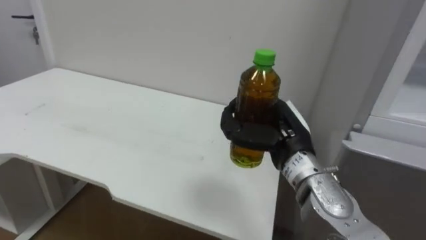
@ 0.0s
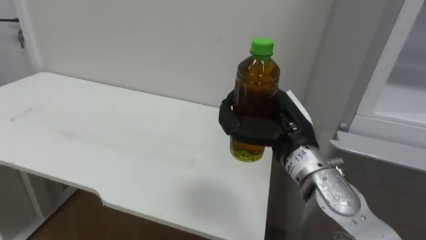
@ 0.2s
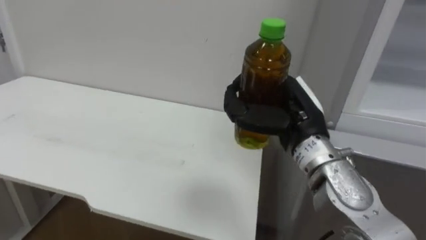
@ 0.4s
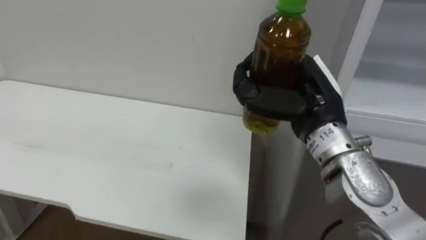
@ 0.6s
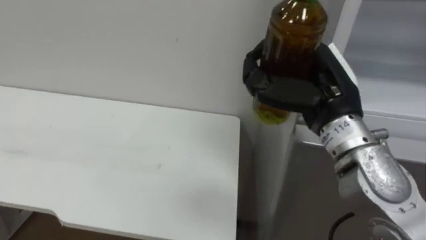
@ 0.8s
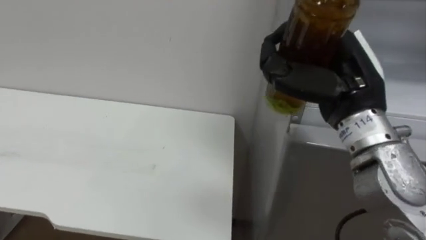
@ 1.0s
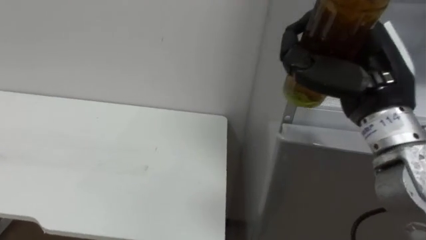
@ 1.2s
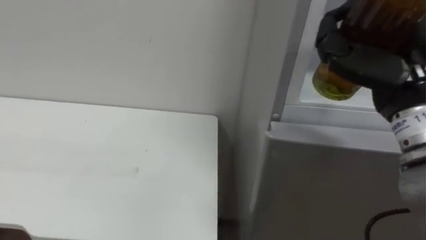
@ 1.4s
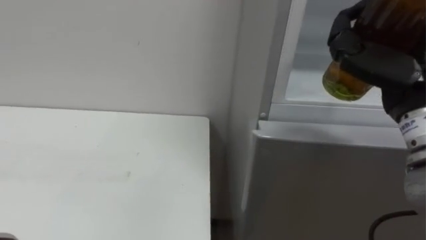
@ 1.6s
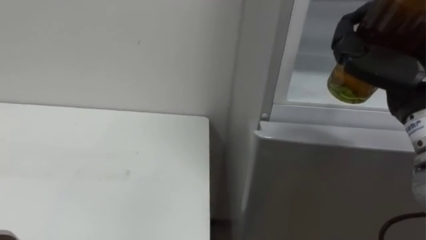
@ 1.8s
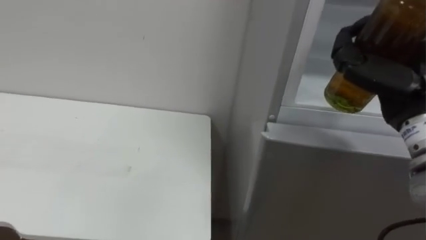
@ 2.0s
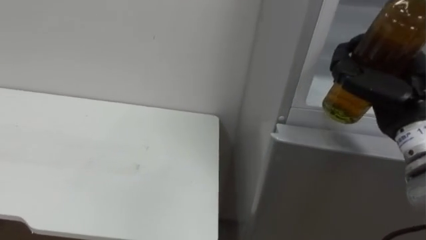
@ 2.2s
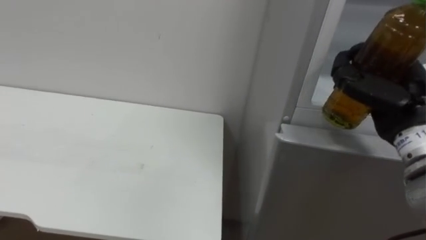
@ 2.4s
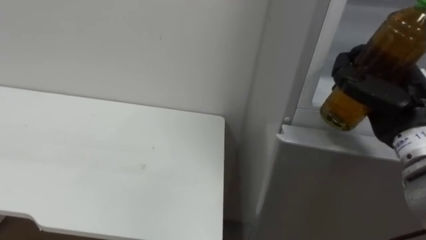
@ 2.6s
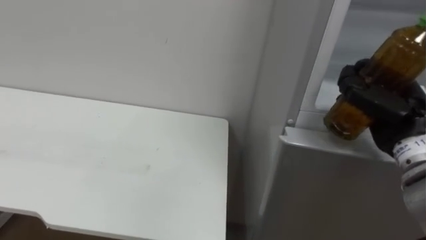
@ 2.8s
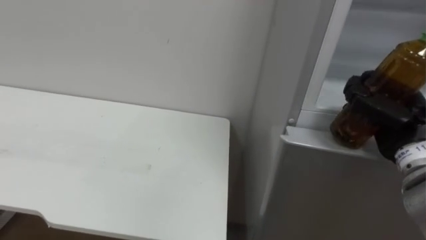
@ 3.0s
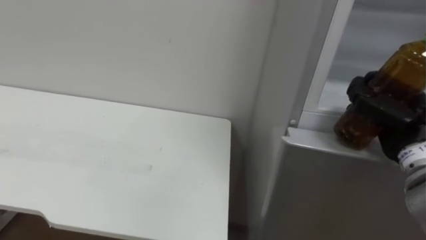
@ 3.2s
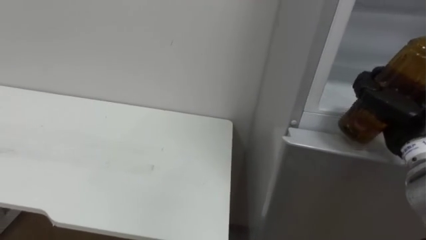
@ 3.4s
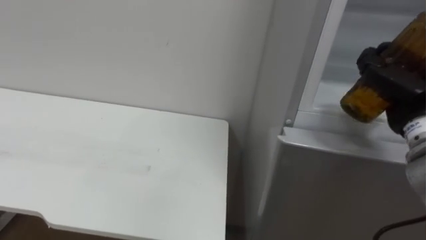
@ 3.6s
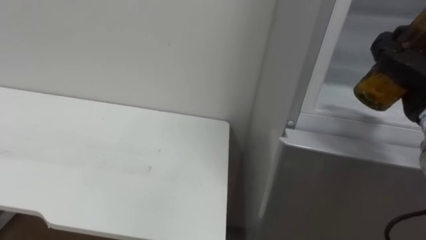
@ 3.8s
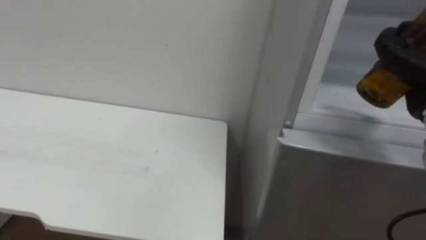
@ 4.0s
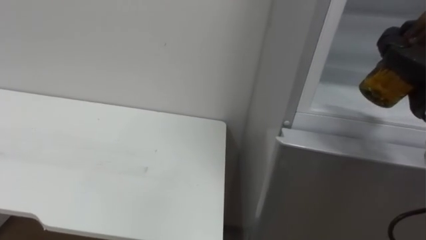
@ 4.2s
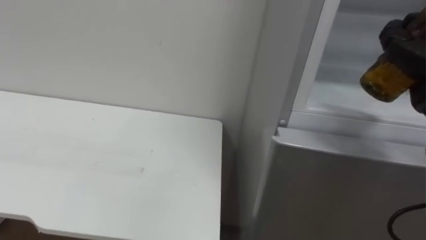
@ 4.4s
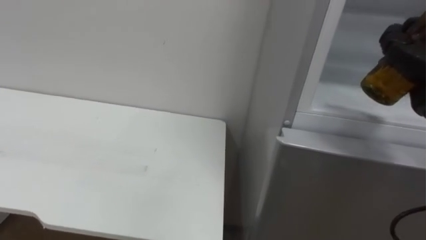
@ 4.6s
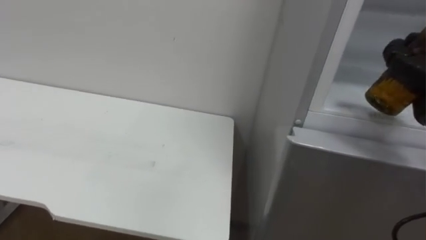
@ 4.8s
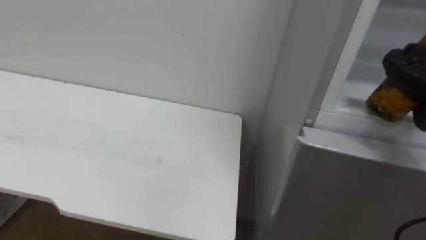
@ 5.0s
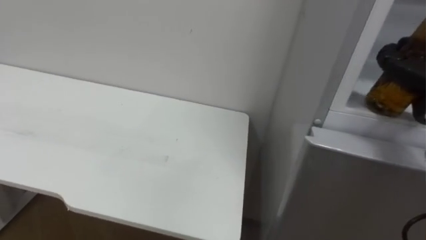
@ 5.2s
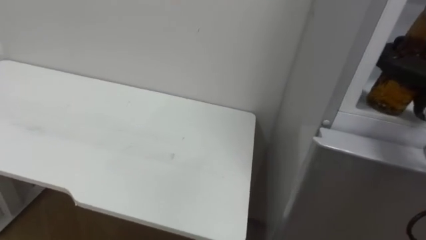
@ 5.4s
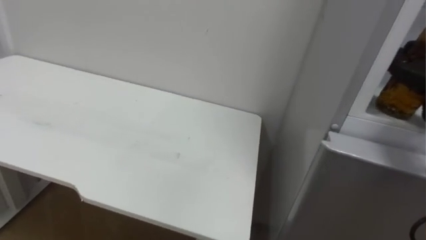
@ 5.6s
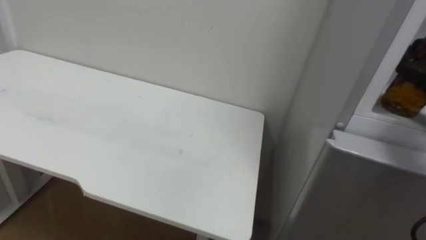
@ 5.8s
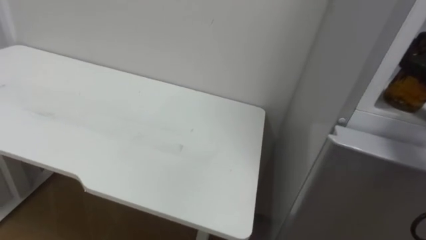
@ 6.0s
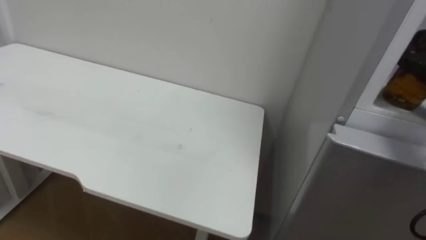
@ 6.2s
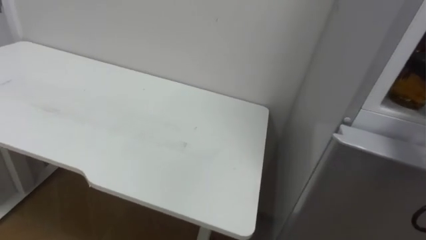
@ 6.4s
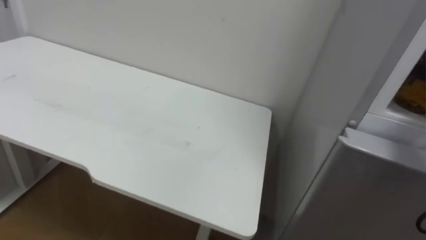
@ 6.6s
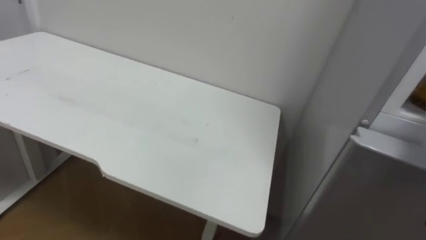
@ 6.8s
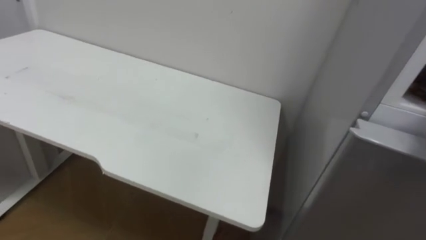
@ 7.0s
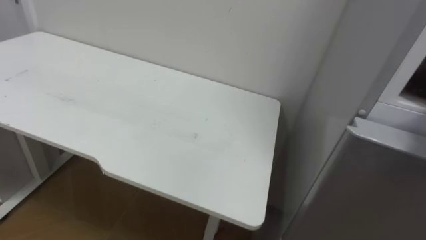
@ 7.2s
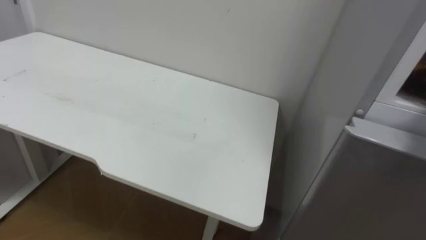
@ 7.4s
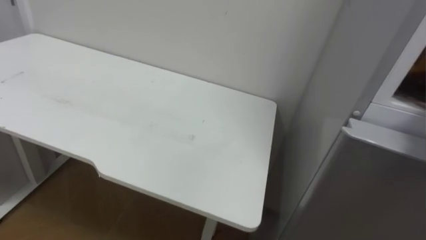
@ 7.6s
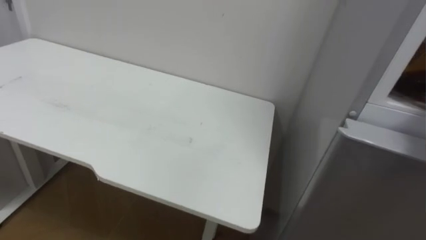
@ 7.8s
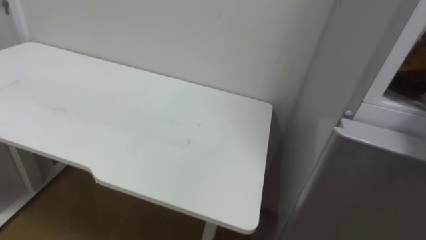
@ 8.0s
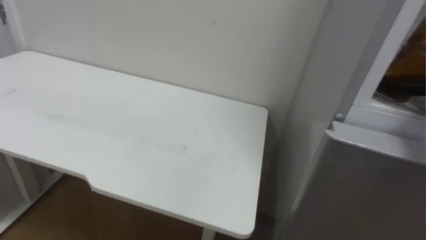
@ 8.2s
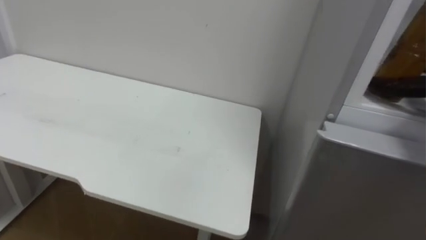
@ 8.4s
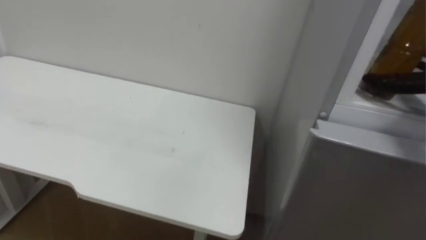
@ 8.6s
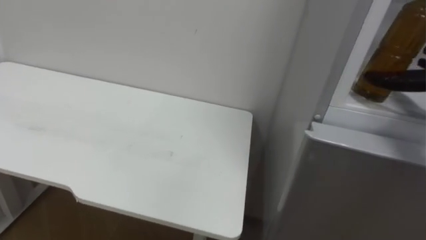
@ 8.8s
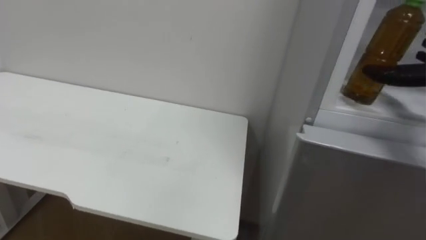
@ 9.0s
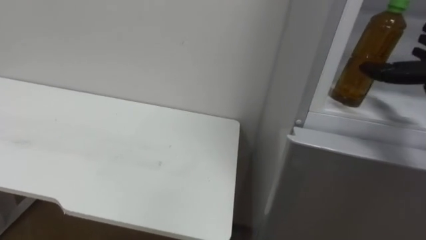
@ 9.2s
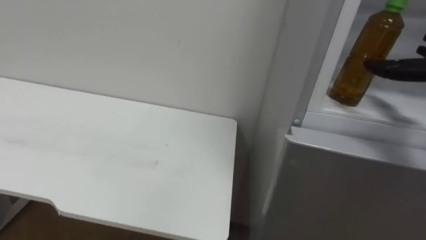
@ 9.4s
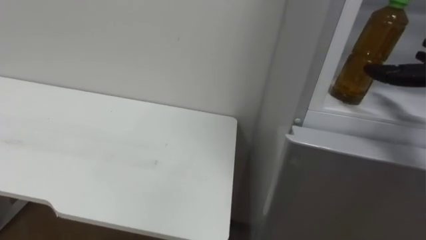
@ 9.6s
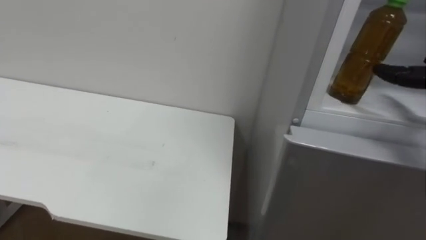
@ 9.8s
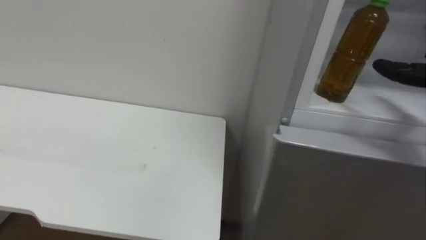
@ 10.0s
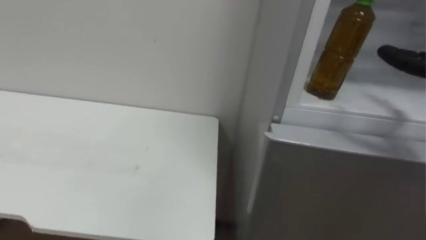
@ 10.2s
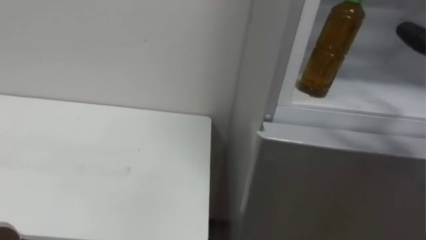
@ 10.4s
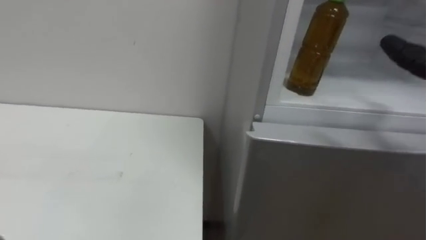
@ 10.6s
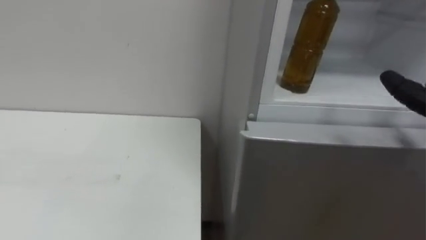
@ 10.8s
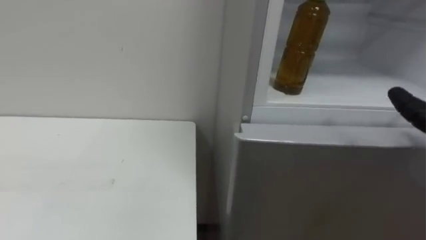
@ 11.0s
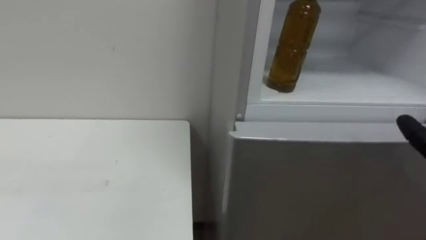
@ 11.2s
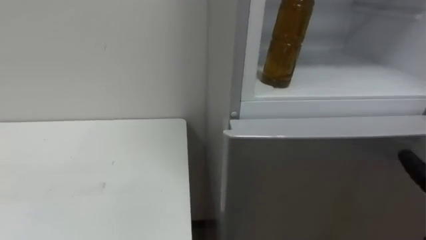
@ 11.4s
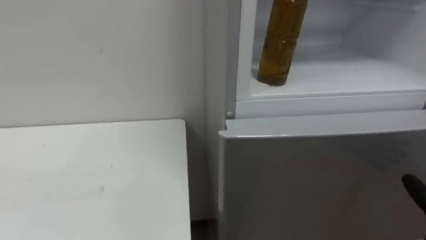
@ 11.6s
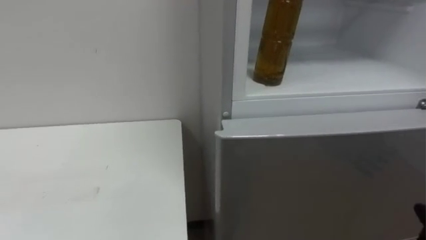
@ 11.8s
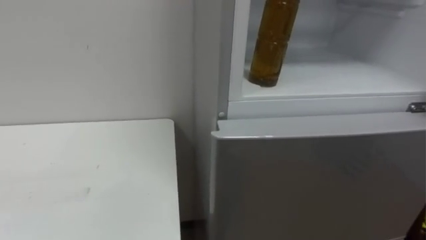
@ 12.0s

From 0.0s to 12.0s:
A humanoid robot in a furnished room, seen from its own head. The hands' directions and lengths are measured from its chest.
Task of the whole recording: Open the upper refrigerator door, put the drink from the table into the refrigerator, and then close the refrigerator door.
From 0.0s to 1.6s: The right hand moves upward, to the right and backward, approximately 20 cm.
From 1.6s to 3.0s: The right hand goes roughly 15 cm downward, to the right and forward.

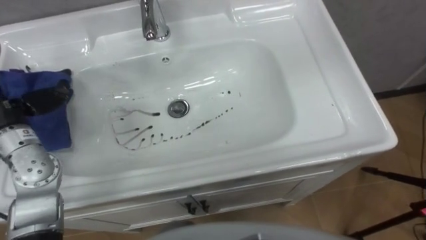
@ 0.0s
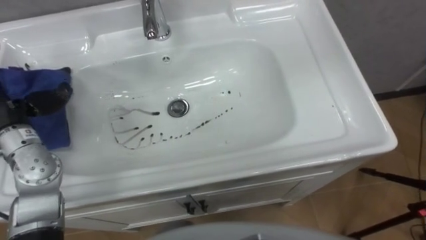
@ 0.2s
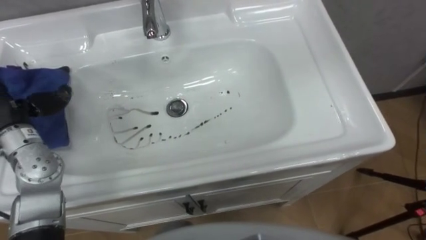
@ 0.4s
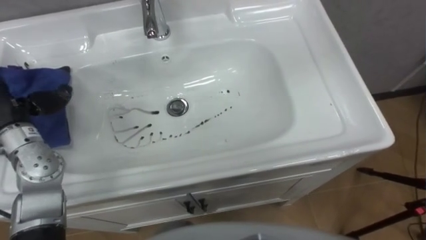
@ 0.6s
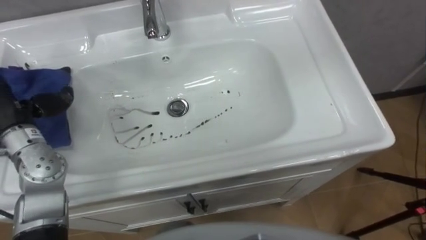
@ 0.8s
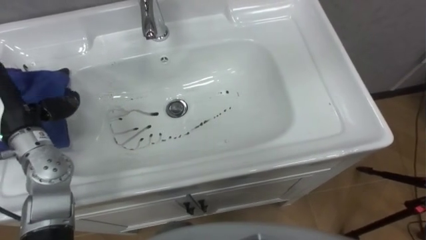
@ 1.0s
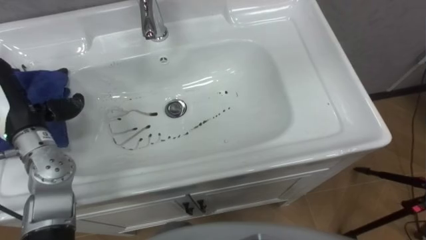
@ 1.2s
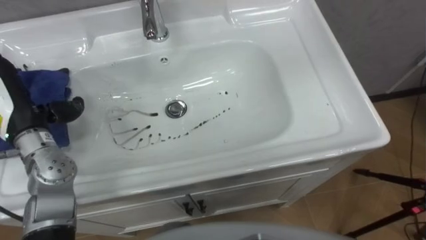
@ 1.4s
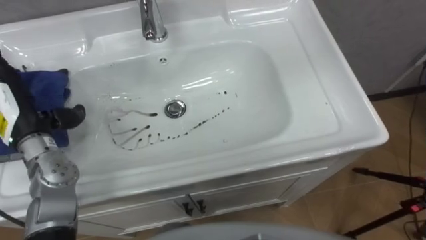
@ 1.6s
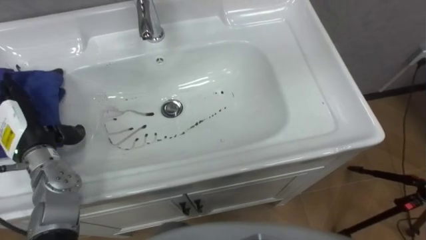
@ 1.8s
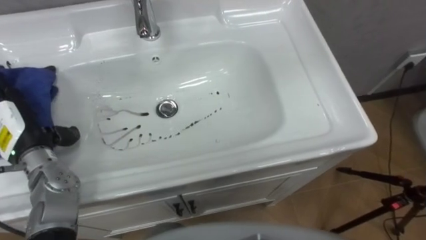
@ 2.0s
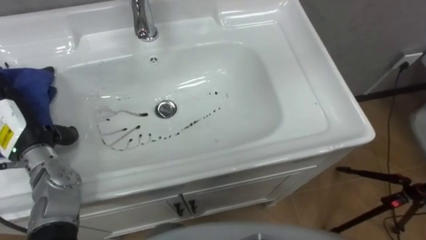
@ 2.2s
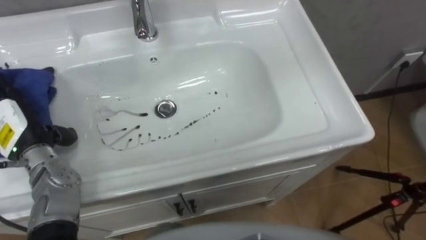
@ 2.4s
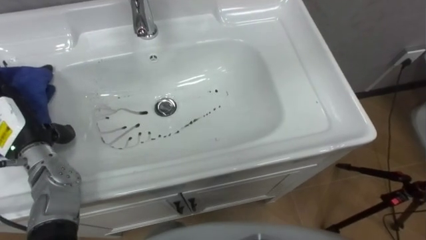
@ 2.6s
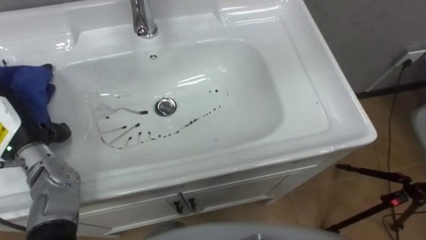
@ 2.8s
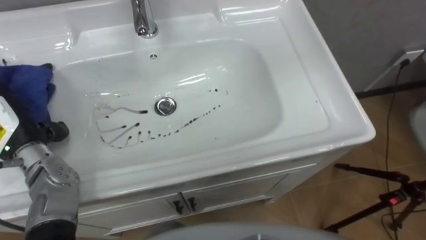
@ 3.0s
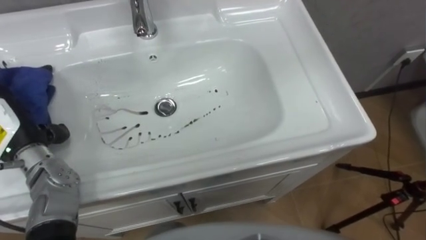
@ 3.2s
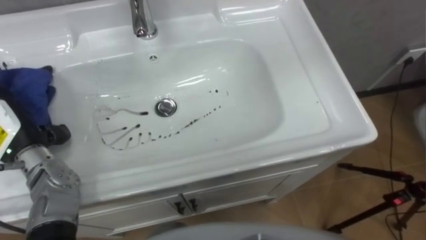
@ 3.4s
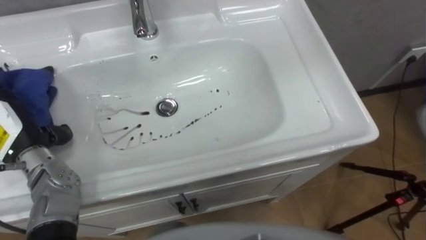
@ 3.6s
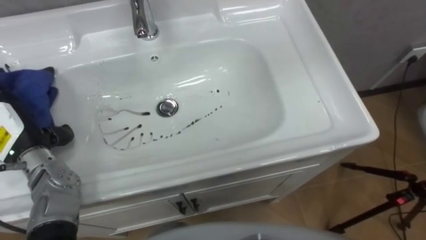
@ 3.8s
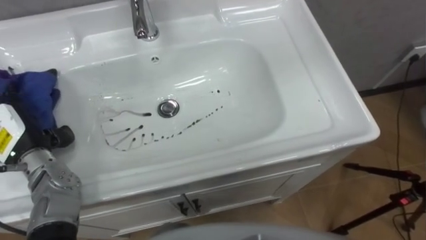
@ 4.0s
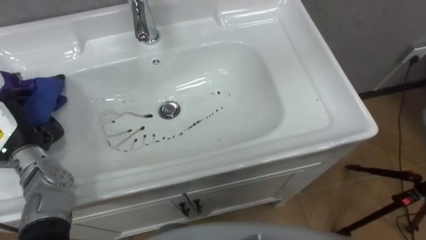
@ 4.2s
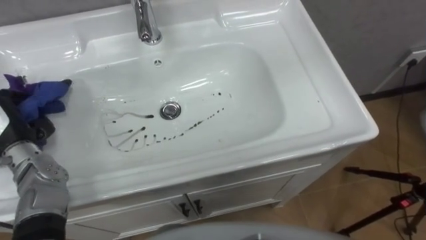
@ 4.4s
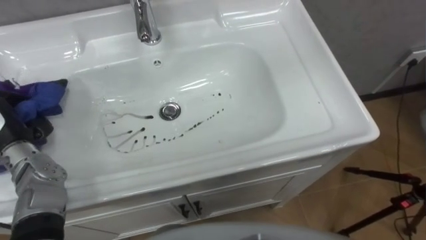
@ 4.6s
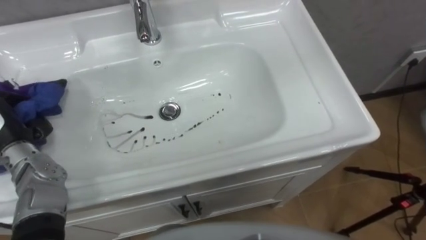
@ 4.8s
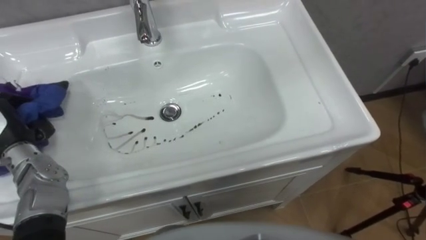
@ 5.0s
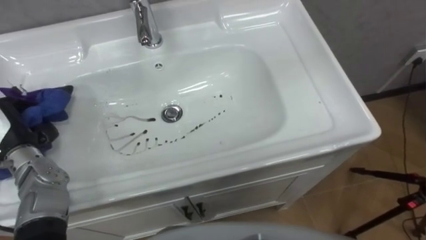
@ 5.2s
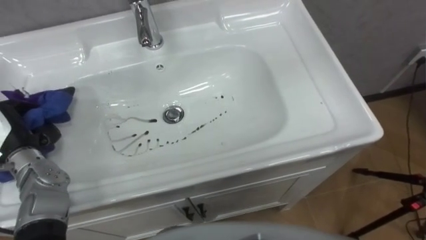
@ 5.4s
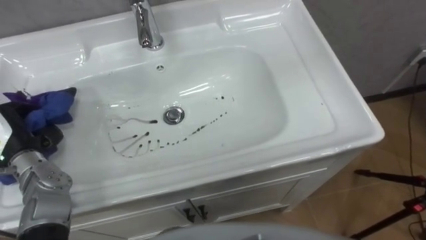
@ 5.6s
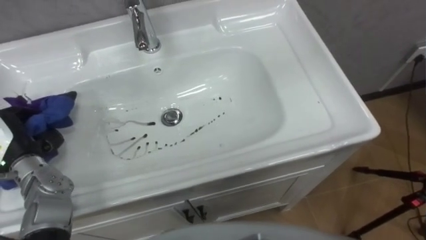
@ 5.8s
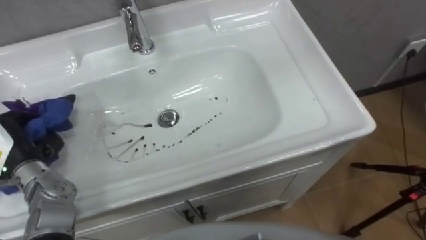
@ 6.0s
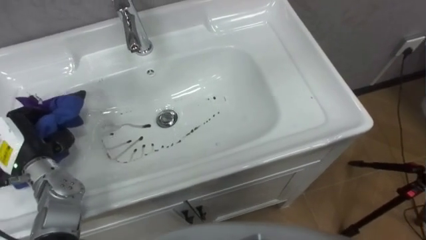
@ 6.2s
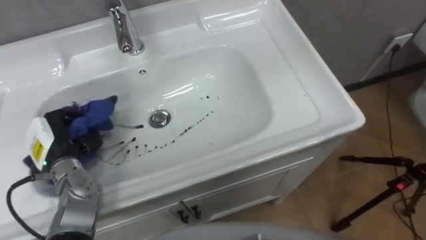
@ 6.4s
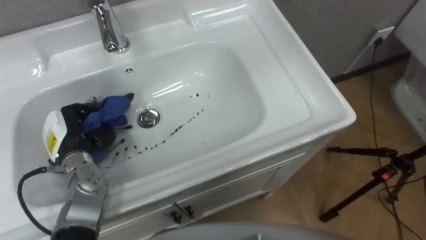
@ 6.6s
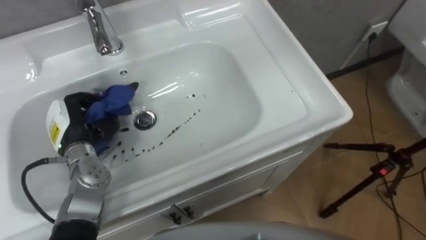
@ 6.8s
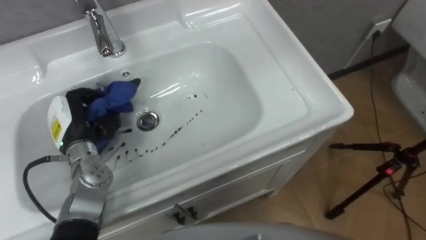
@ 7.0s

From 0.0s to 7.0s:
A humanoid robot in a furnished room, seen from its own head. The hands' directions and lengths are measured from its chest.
Task of the whole recording: Use the cloth on the right to wipe away the black stain in the sink.
From 2.8s to 4.2s: The left hand closes its fingers.
From 5.6s to 7.0s: The left hand moves to the right, approximately 10 cm.